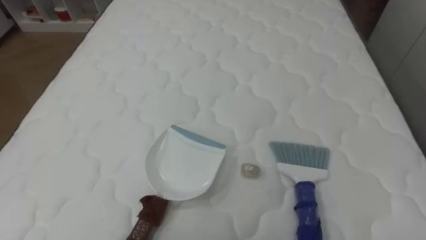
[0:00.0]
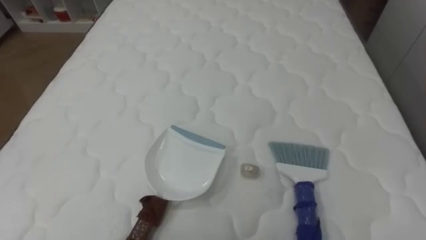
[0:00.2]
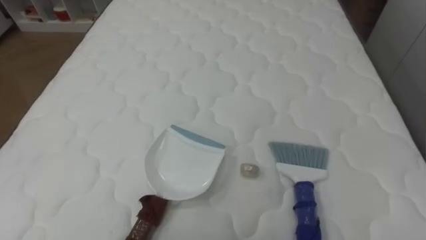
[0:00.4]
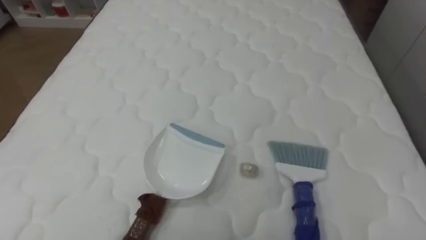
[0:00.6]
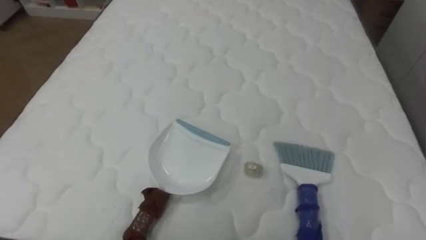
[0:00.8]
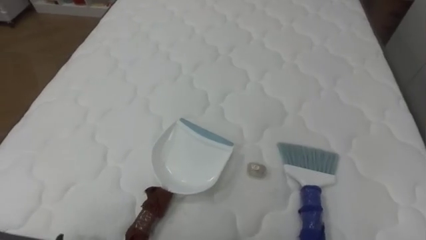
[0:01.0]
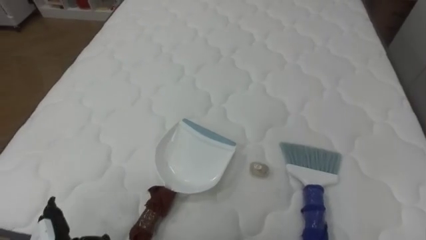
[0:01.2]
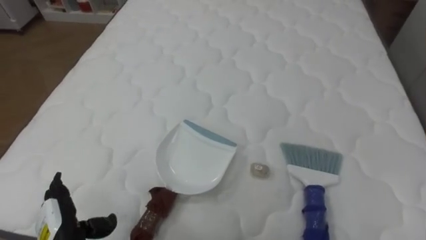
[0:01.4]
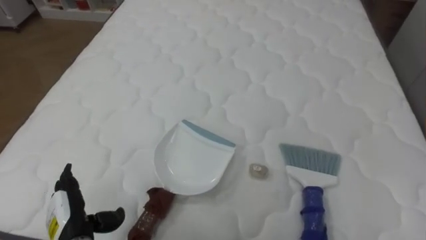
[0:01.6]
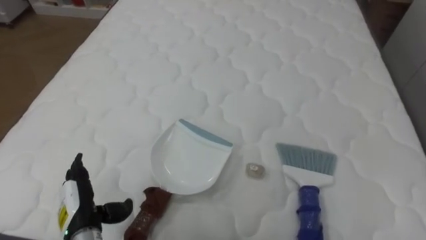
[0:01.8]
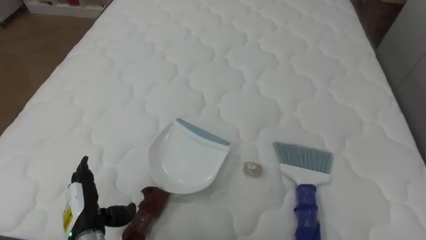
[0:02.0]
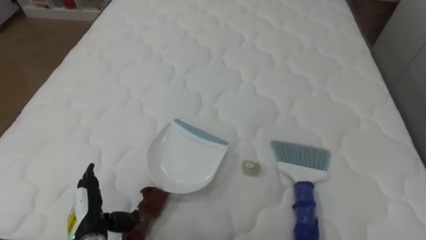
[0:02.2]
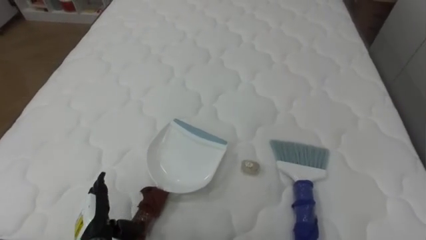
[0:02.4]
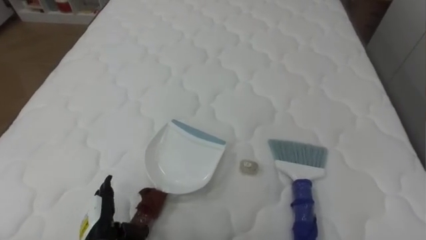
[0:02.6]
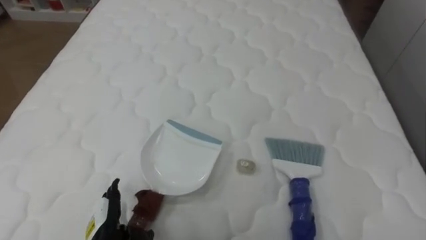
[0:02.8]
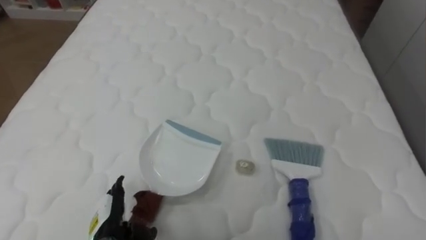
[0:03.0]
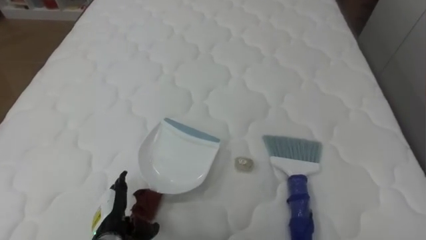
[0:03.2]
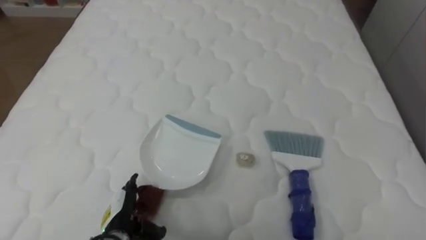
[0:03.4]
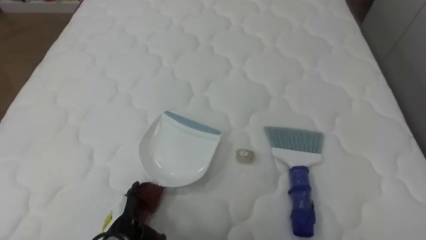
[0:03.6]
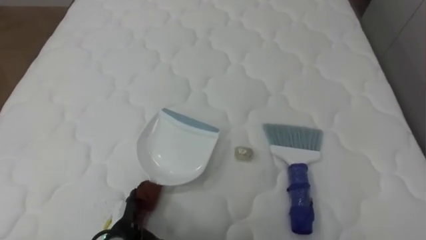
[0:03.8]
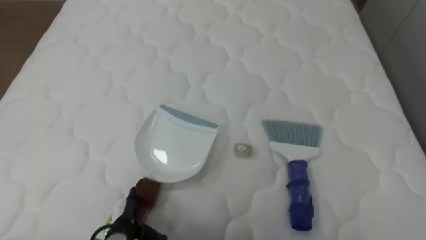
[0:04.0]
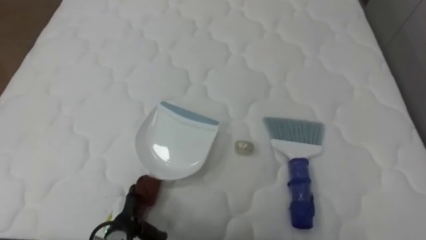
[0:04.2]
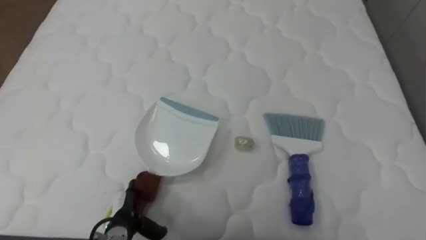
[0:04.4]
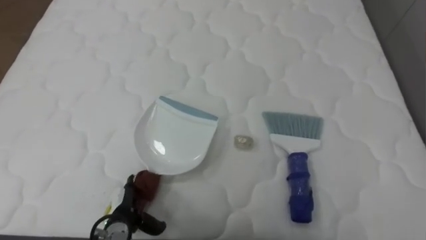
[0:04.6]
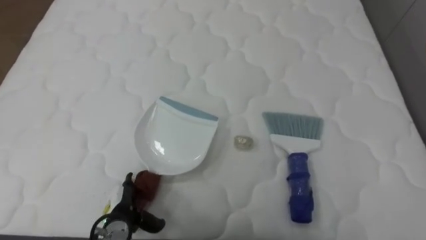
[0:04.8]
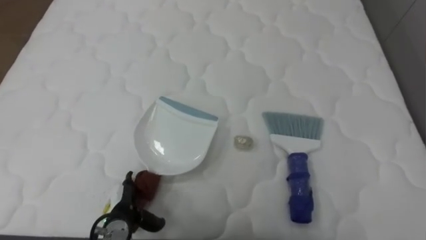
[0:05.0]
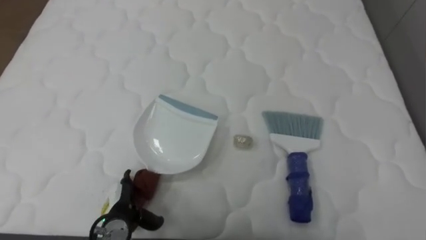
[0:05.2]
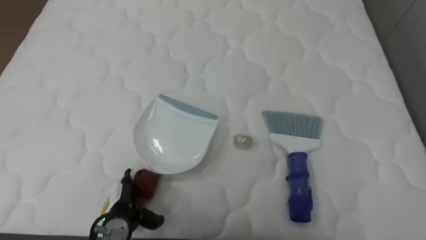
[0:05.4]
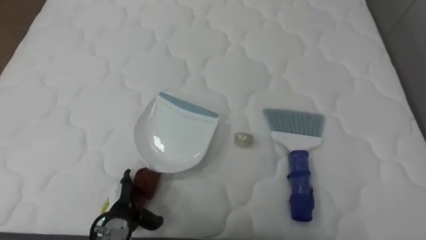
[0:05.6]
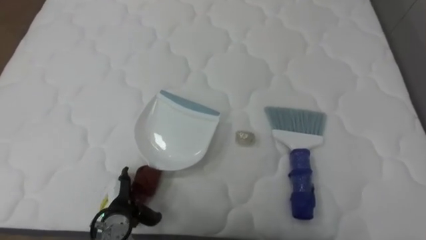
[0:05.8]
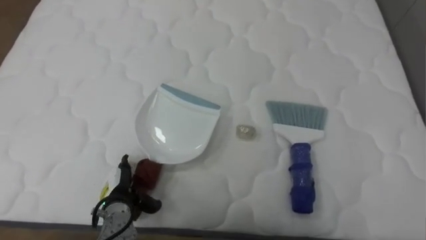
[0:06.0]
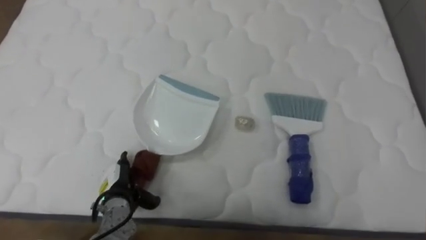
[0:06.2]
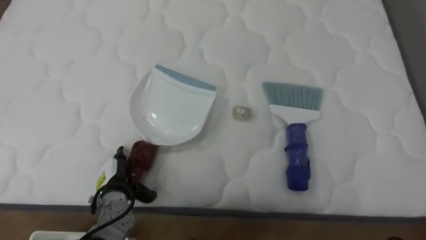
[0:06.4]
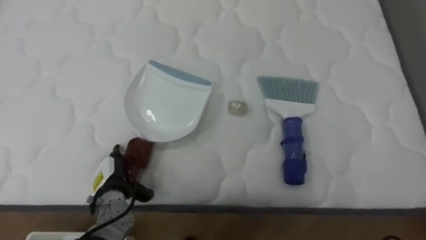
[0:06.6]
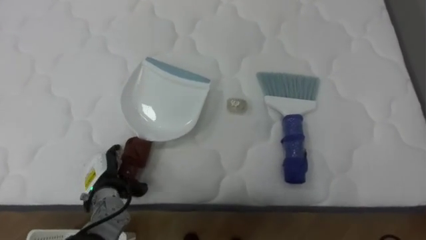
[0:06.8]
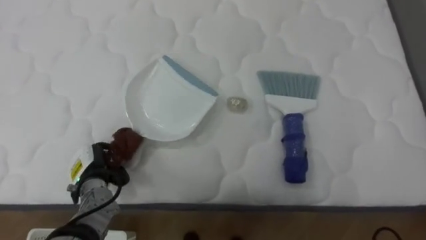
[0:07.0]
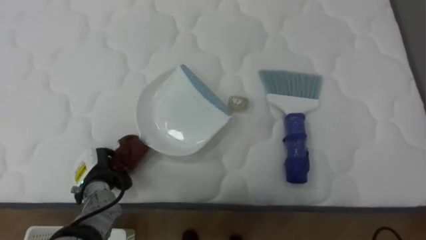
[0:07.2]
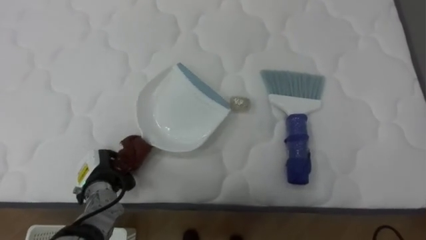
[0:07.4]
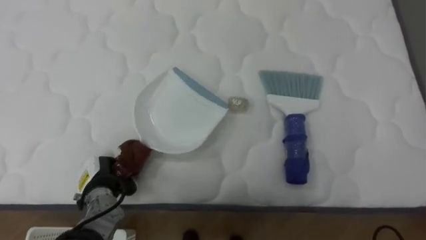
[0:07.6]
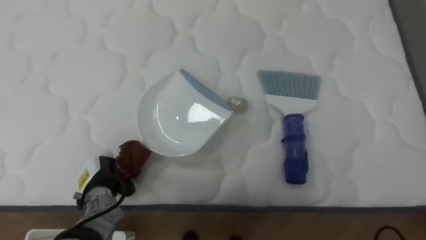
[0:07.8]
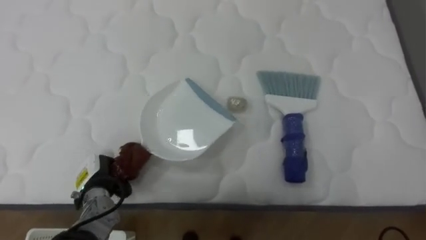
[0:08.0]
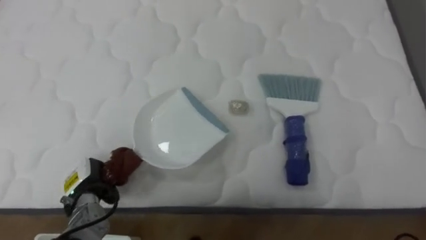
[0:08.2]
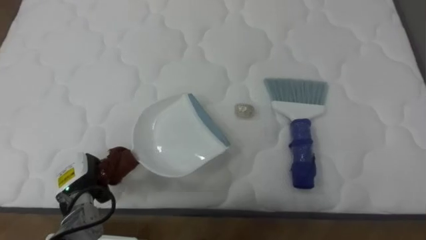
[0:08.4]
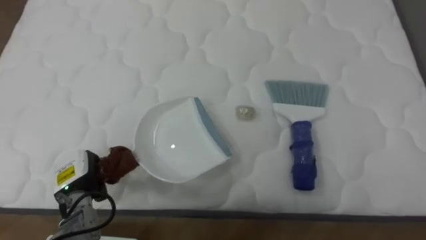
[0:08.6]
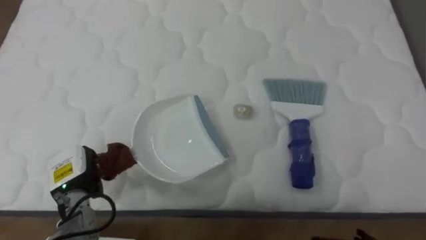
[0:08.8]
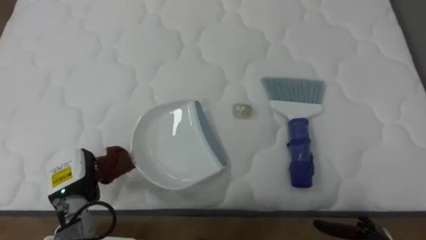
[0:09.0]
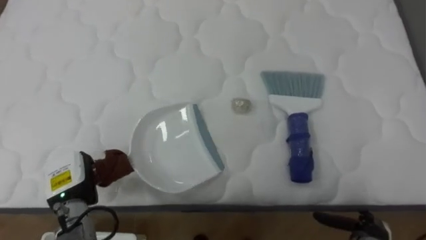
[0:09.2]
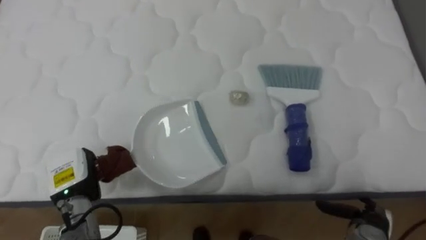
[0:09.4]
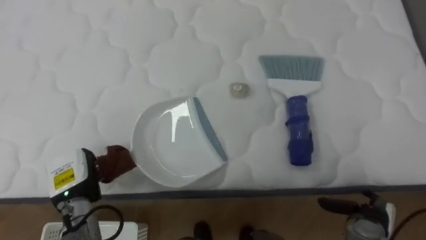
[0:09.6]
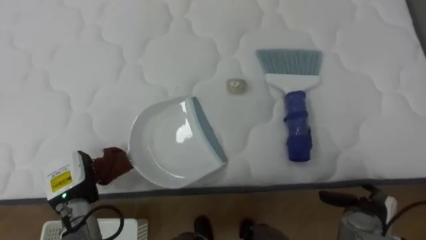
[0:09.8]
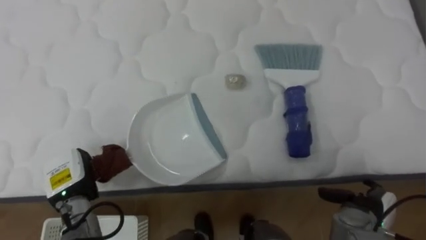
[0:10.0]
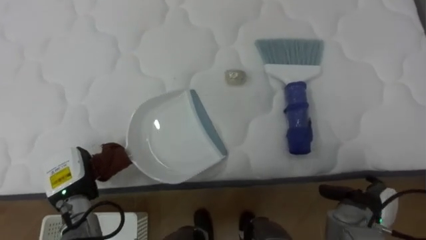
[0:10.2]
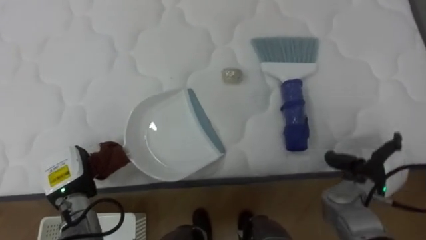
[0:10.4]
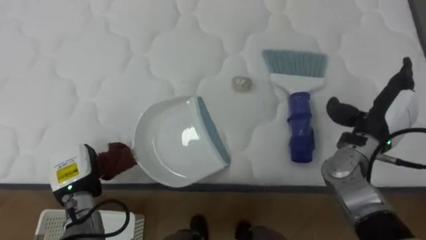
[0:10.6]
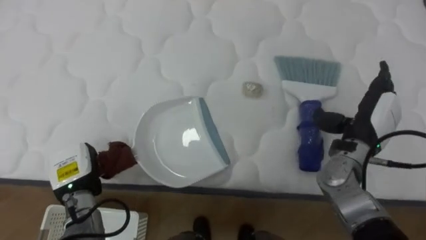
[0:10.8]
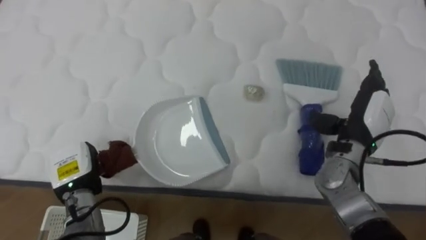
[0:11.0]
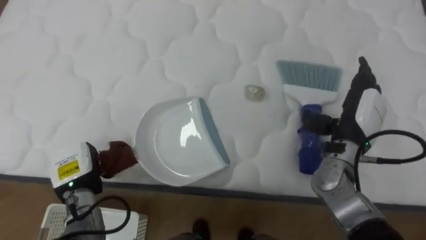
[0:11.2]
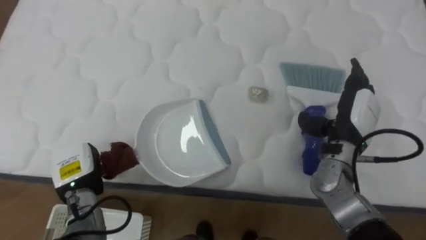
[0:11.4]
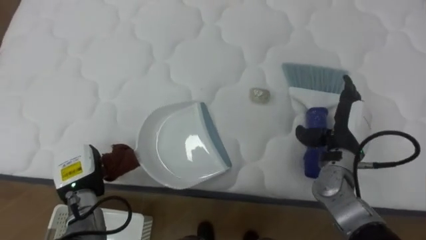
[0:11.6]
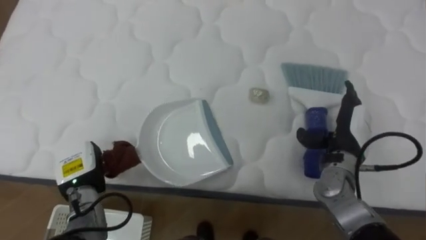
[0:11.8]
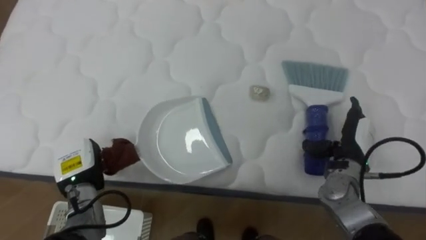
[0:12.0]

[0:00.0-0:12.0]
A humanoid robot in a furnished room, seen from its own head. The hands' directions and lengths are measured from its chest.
Task of the whole recording: Pick up the brush on your right and the dustpan on your left. Use the brush to sweep the crumpled paper on the bed into the dustpan, then turn left and empty it into the basket.
0:01.6 to 0:03.0: The left hand goes roughly 5 cm to the right.
0:06.0 to 0:07.6: The left hand ends up about 5 cm from where it was, and closes its fingers.
0:07.6 to 0:09.0: The left hand moves some 5 cm.
0:10.4 to 0:12.0: The right hand shifts about 5 cm forward, and goes upward and returns, approximately 10 cm each way.

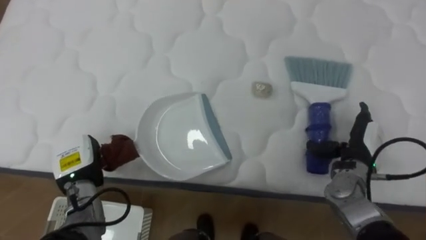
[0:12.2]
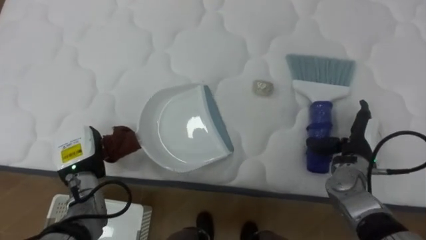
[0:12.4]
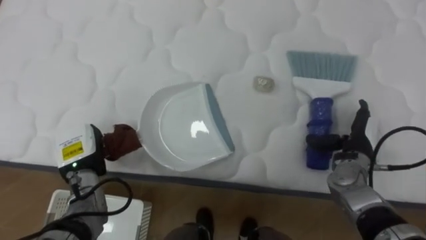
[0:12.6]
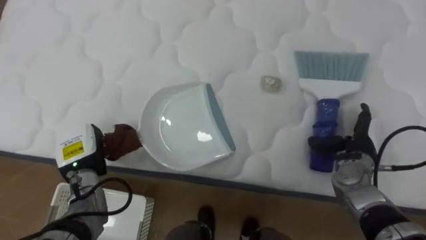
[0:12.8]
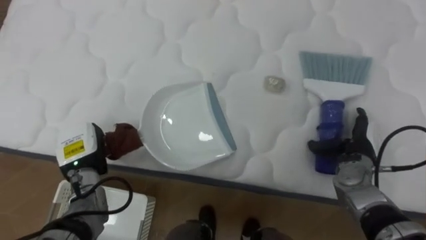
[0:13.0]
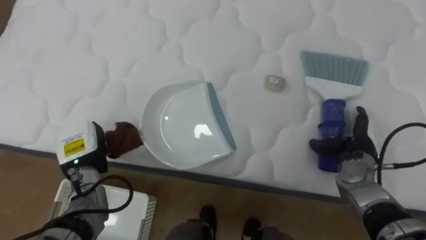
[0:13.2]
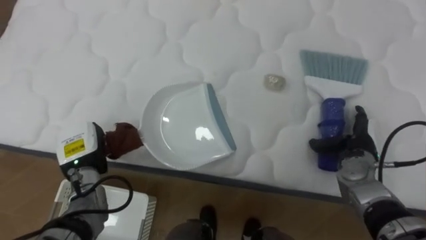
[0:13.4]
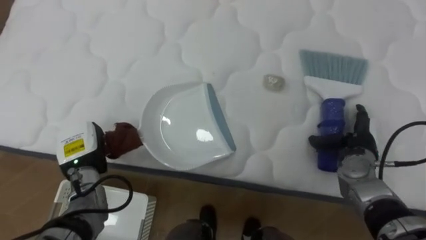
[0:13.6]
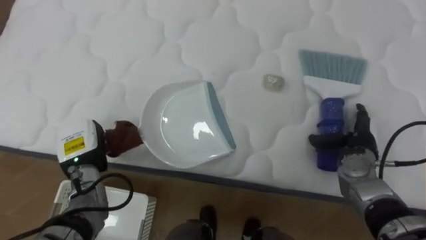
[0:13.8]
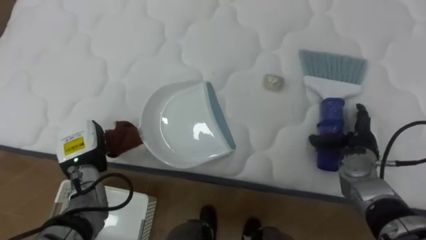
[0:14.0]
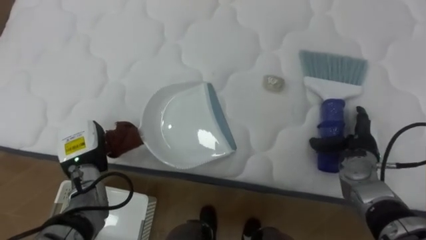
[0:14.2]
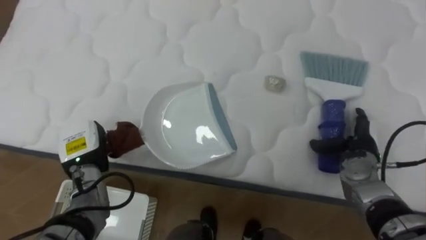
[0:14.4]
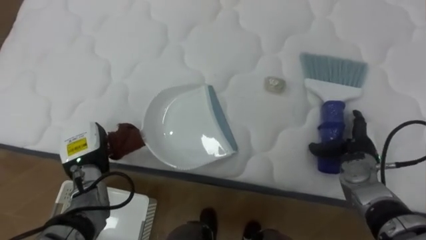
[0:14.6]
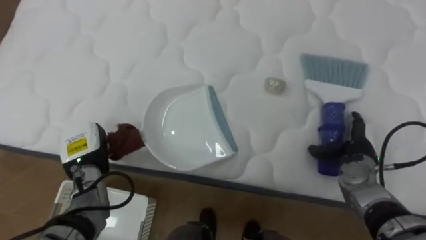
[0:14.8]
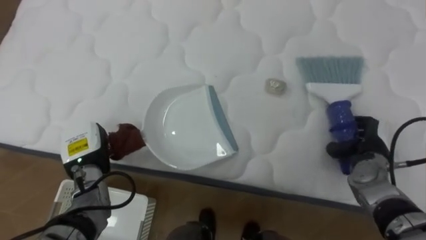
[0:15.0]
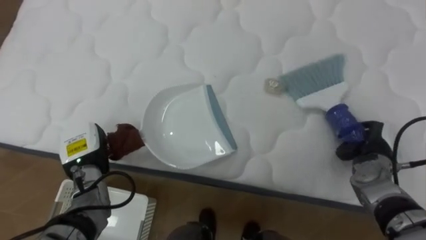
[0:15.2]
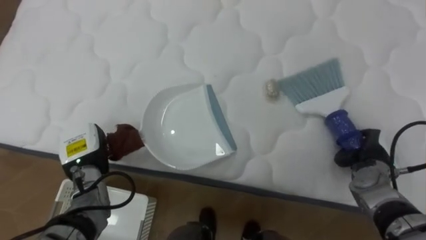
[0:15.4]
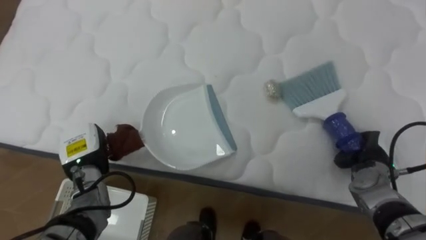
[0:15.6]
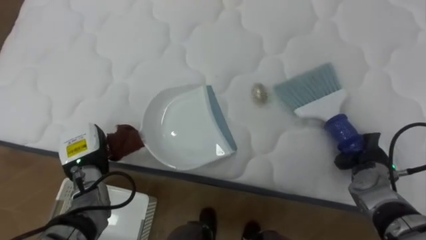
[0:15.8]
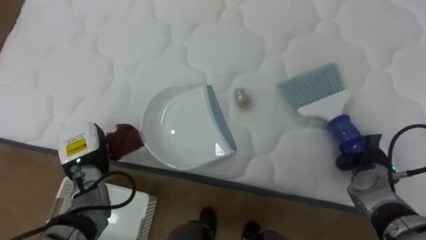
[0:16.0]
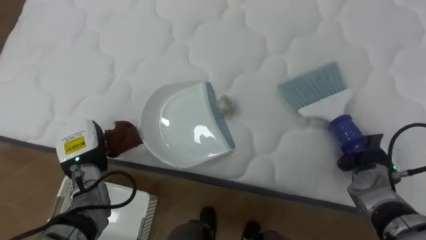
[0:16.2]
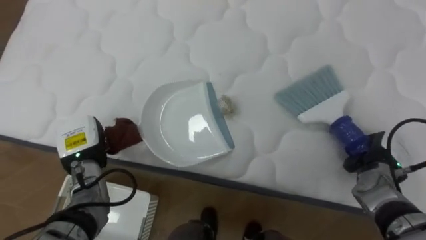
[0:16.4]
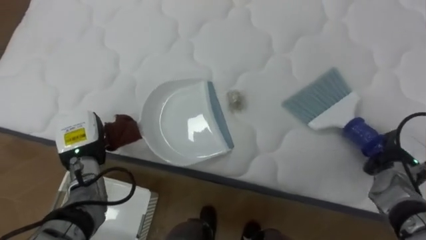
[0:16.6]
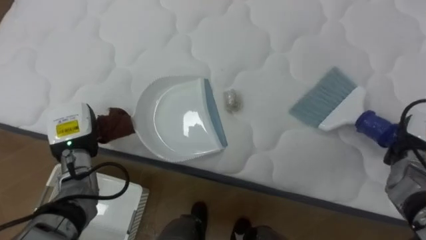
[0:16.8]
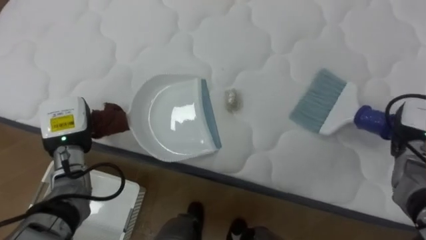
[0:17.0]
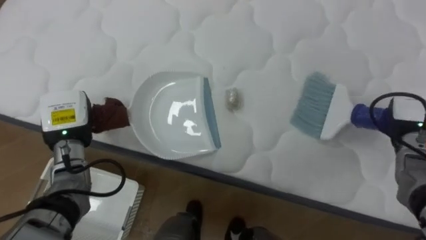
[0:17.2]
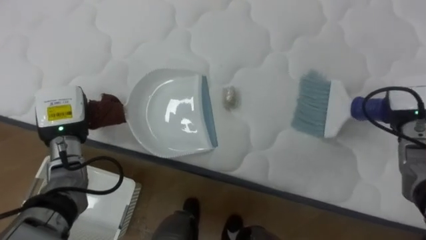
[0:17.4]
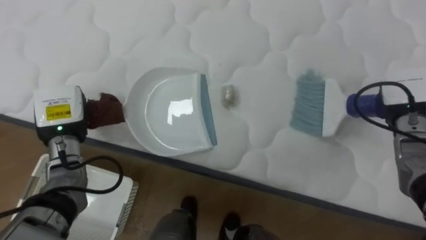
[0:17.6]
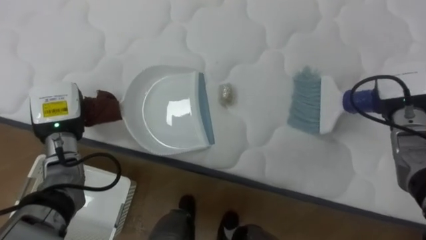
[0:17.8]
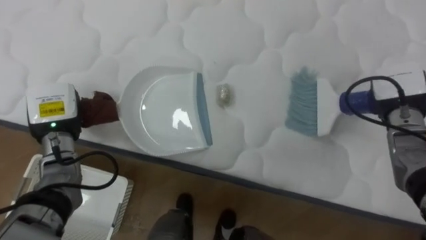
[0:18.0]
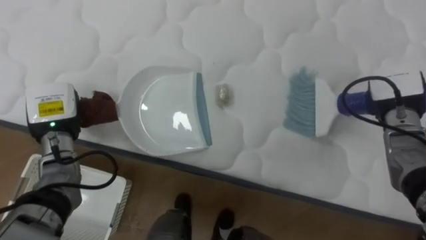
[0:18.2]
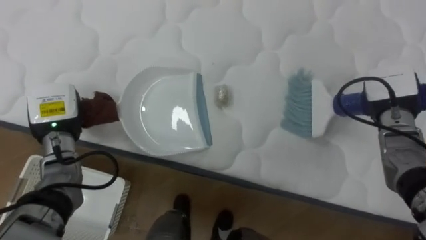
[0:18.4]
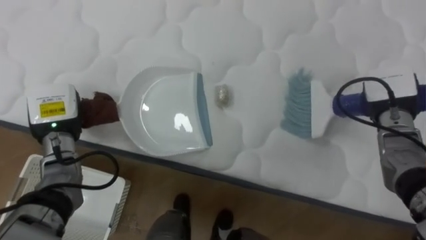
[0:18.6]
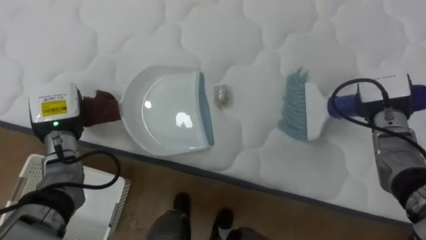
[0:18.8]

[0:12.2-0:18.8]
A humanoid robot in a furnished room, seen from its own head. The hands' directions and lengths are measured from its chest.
Task of the whole recording: Pick up the brush on your right and the dustpan on your left. Use the brush to sweep the crumpled paper on the bed into the dustpan, then turn left and empty it into the basket.
0:13.8 to 0:15.4: The right hand closes.
0:15.4 to 0:17.2: Both hands travel together upward, some 5 cm.
0:17.2 to 0:18.8: The right hand travels to the left by roughly 5 cm.
